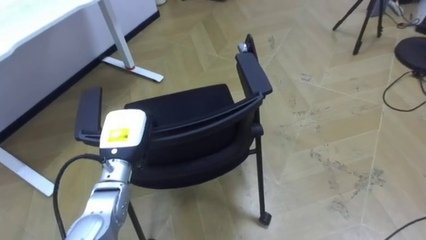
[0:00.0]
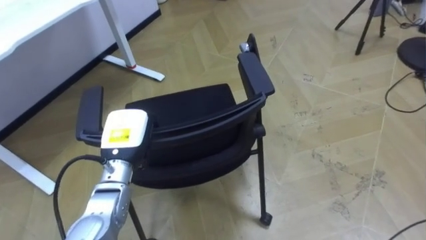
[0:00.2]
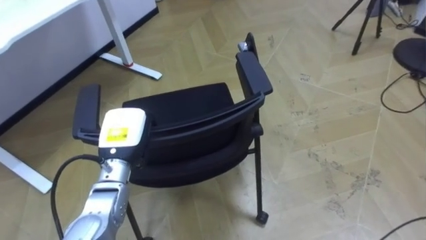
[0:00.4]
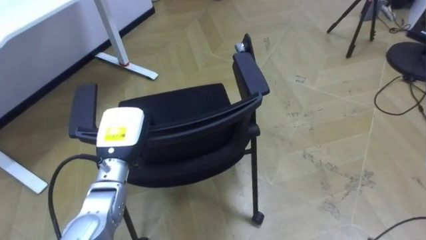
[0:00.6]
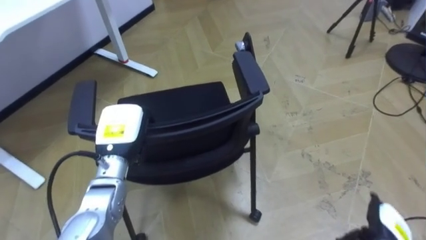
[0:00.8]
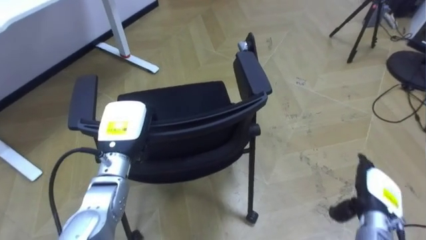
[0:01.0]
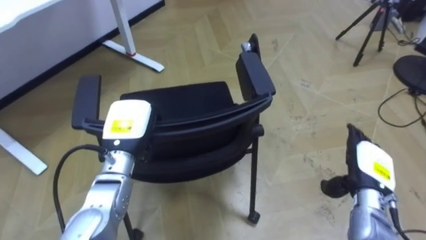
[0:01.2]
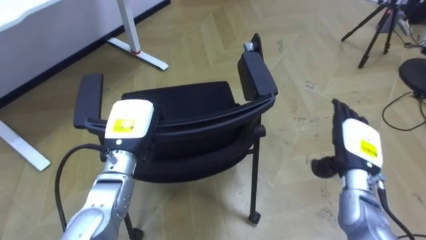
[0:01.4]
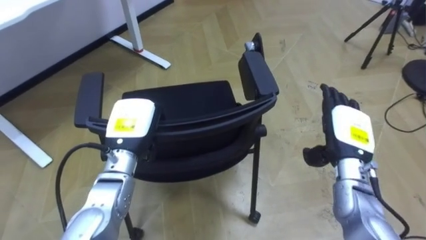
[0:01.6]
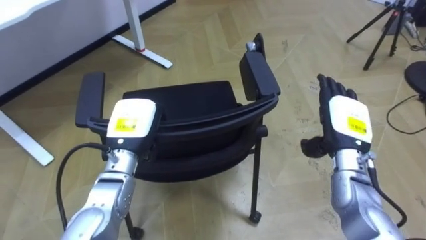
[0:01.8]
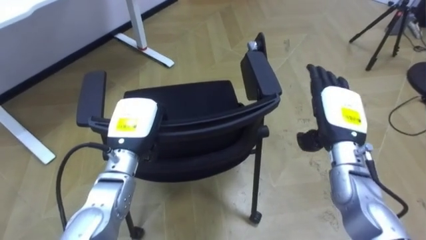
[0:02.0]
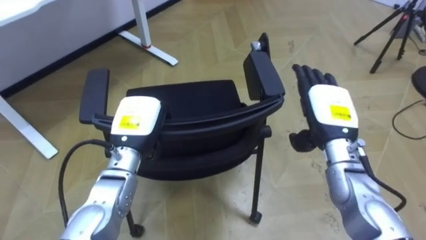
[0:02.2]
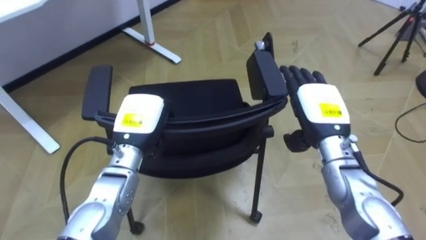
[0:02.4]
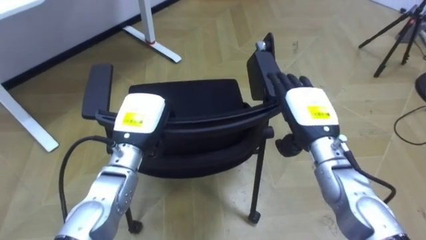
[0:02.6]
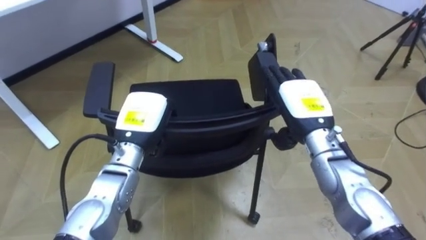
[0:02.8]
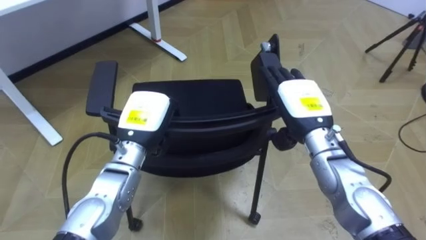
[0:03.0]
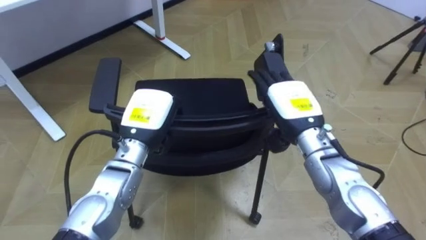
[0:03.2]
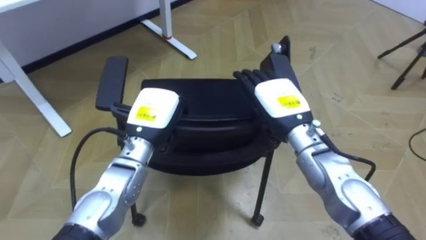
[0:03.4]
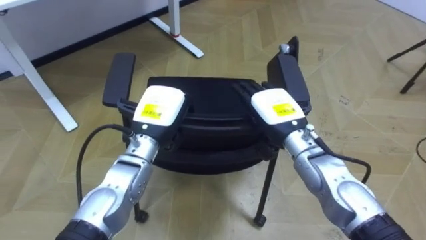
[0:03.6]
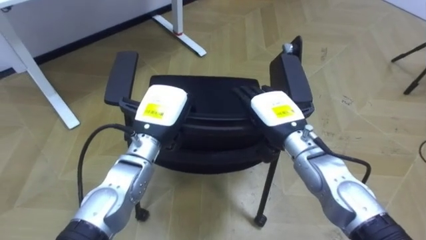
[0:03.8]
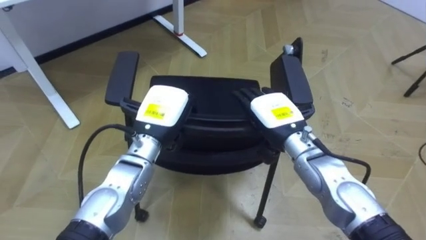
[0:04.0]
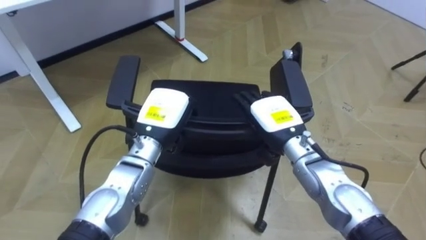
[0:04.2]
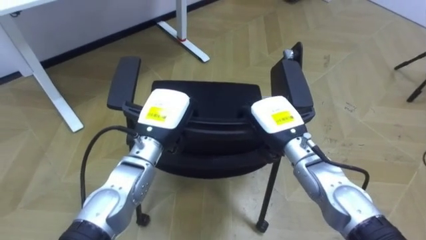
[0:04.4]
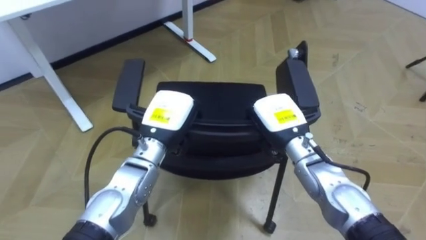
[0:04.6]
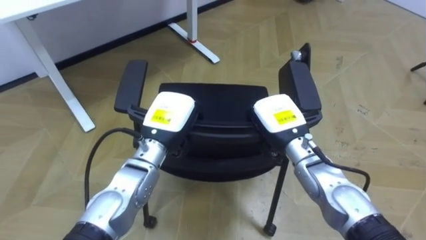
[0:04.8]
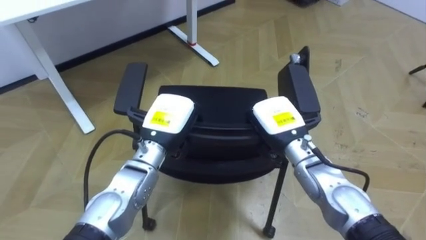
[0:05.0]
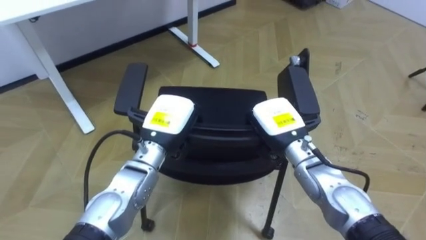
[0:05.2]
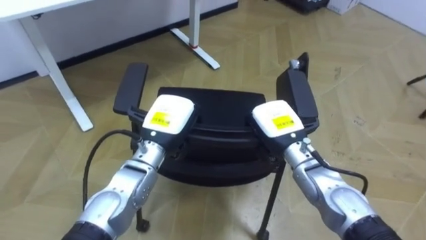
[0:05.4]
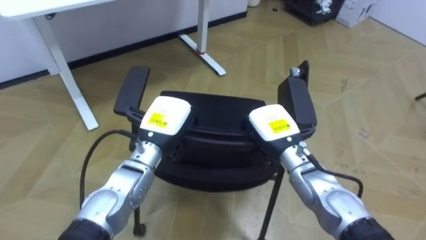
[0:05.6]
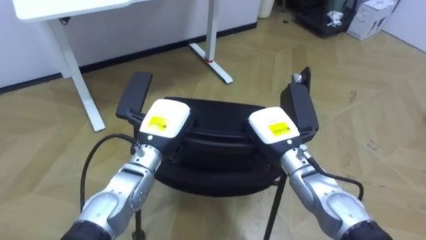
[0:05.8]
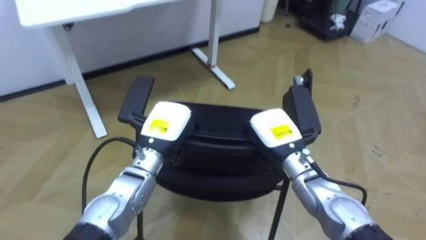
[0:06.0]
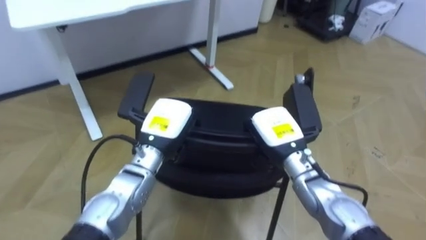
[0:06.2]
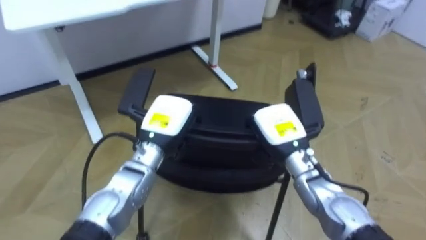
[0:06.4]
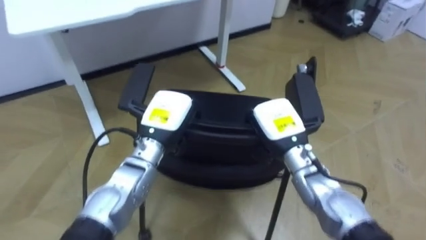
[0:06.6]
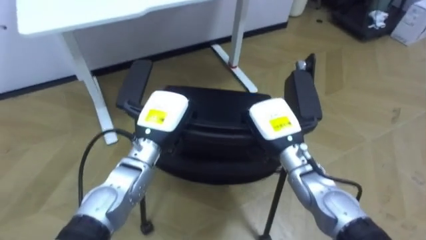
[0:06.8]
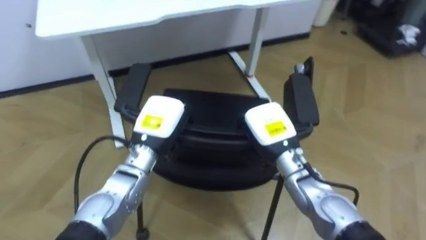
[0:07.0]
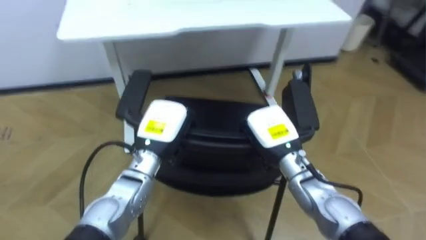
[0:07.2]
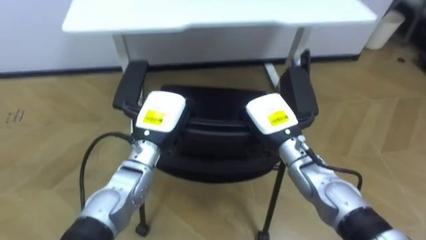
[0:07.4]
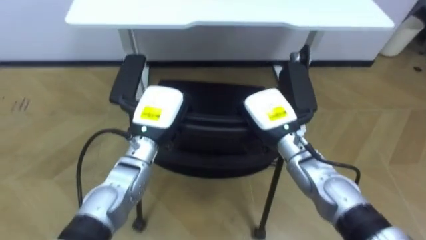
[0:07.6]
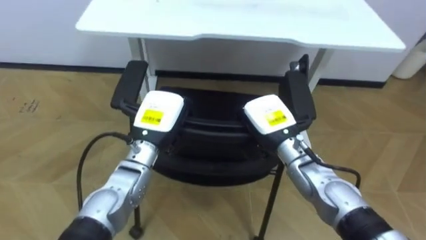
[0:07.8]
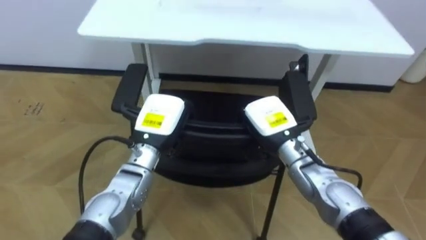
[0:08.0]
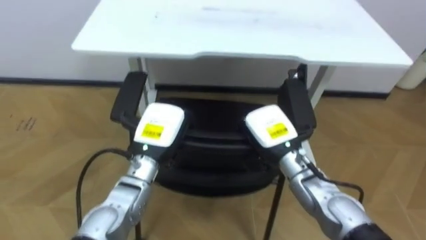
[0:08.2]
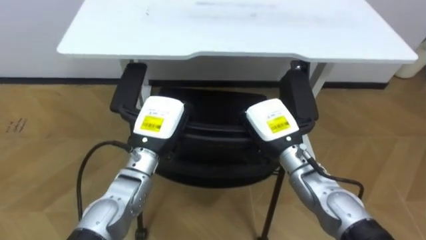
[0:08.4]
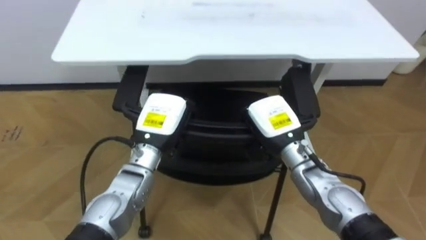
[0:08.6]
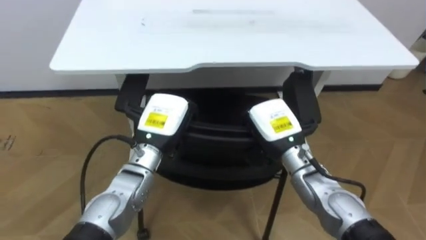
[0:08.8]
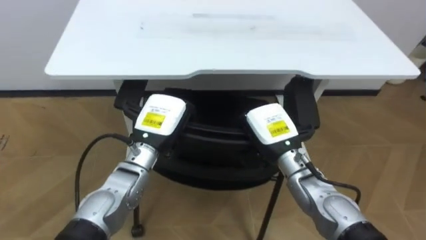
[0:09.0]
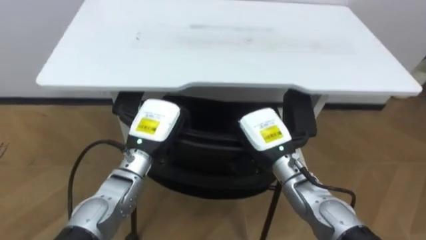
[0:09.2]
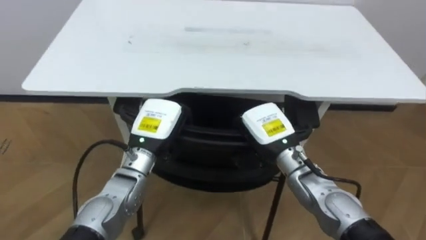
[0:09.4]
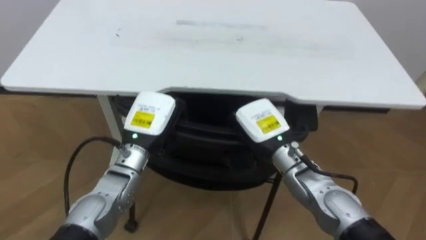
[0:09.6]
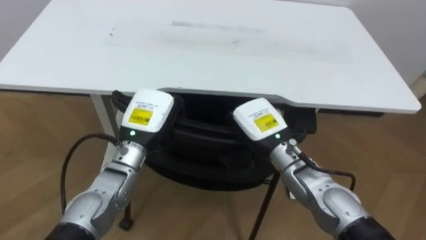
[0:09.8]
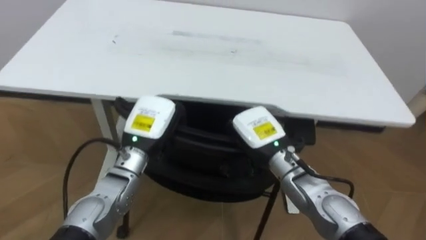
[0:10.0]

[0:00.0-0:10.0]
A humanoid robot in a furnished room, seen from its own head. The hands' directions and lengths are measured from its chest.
Task of the whole recording: Push the chair under the table.
0:01.4 to 0:02.8: The right hand heads to the left and upward, covering some 15 cm.
0:02.8 to 0:04.2: The right hand ends up approximately 5 cm from where it was.
0:04.2 to 0:05.8: The right hand closes its fingers.
0:05.8 to 0:07.2: The robot's body swings approximately 15 degrees to its left.

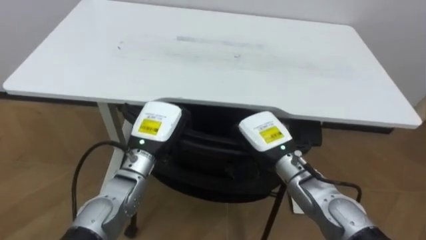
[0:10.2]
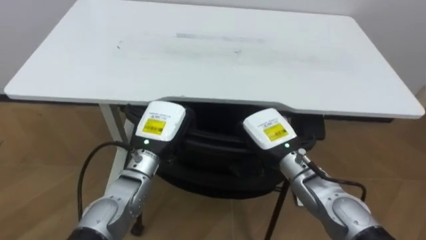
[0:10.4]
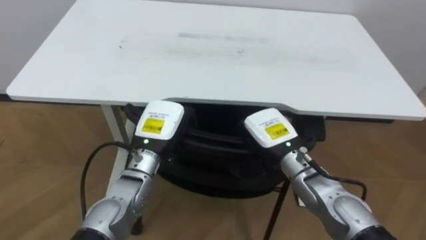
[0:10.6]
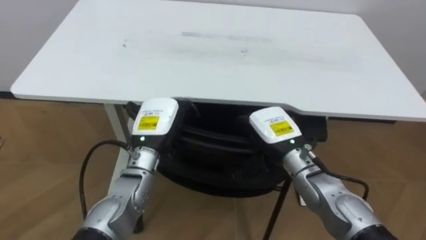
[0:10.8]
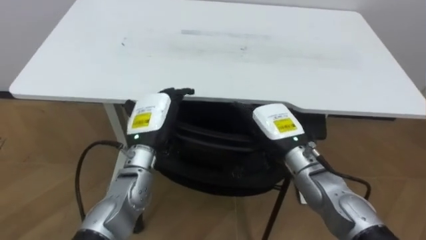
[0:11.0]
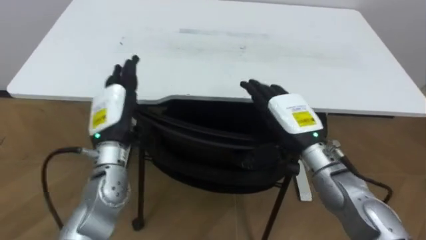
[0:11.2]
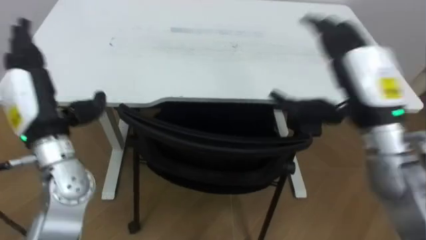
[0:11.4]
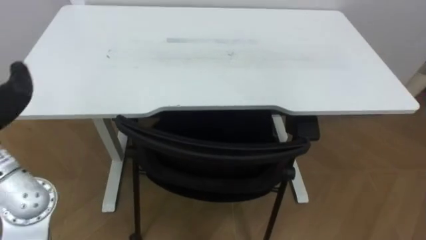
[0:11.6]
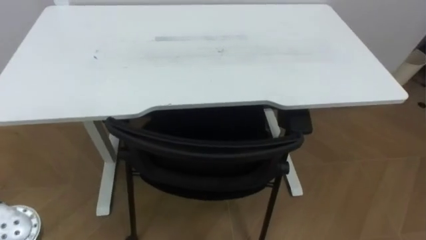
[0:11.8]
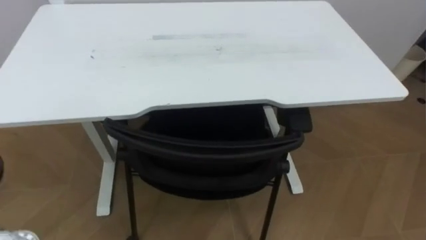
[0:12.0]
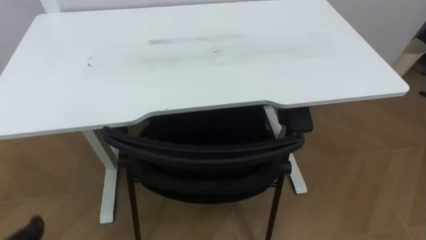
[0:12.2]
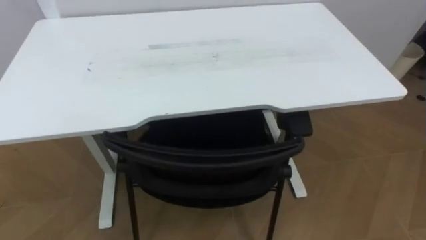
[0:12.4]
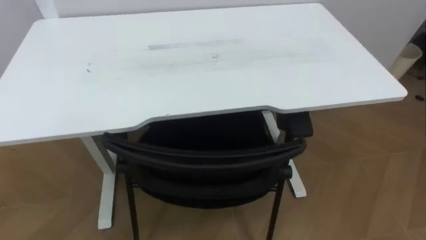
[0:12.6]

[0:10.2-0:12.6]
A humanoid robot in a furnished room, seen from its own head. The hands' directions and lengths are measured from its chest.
Task of the whole recording: Push the chair under the table.
0:10.2 to 0:11.4: The left hand travels to the left and upward by roughly 20 cm, and opens. Meanwhile the right hand moves upward and to the right, some 20 cm, and opens up.

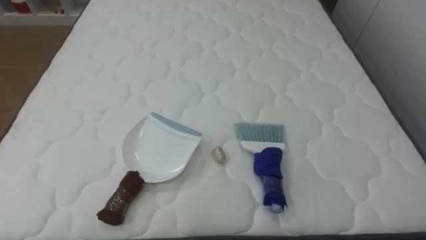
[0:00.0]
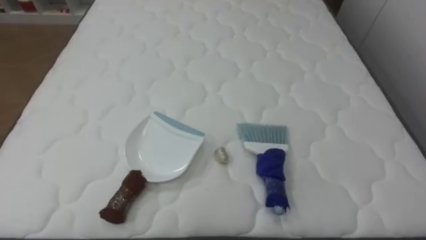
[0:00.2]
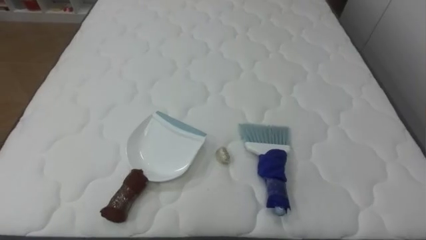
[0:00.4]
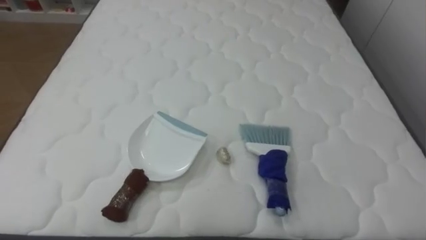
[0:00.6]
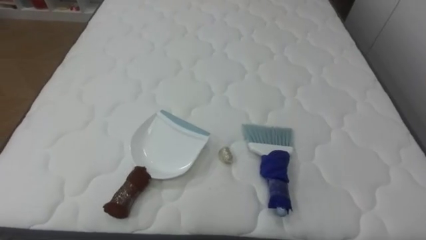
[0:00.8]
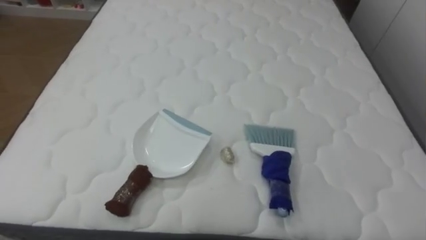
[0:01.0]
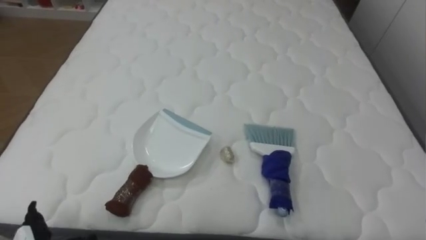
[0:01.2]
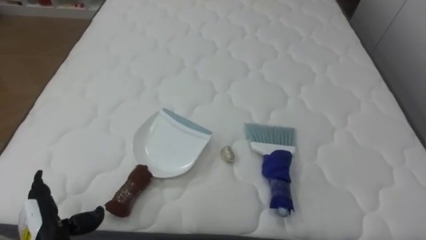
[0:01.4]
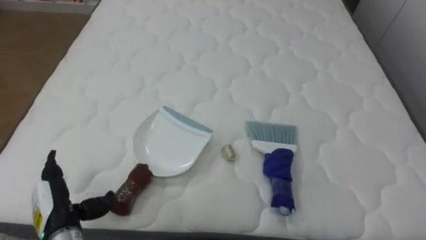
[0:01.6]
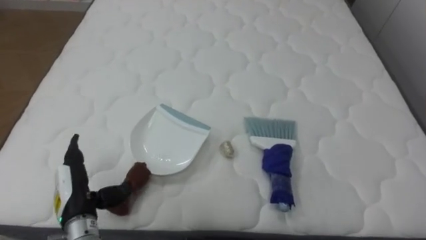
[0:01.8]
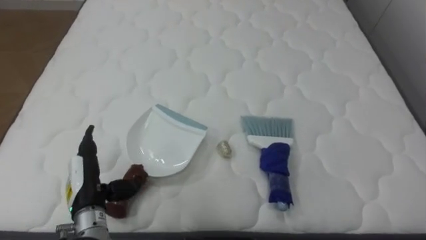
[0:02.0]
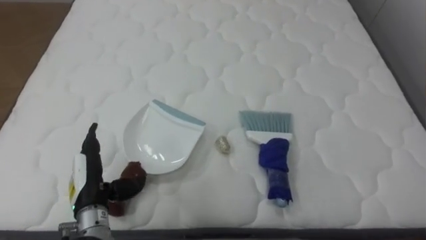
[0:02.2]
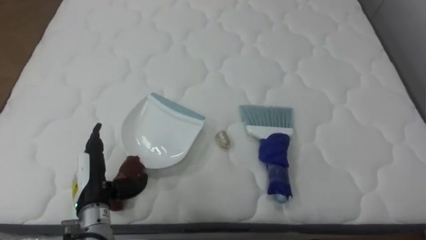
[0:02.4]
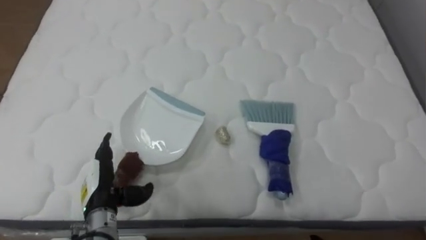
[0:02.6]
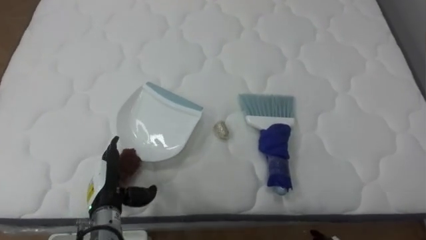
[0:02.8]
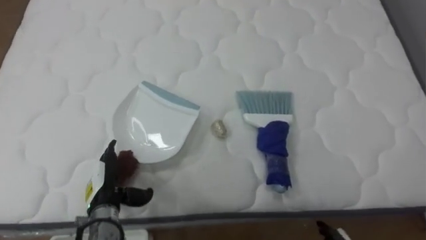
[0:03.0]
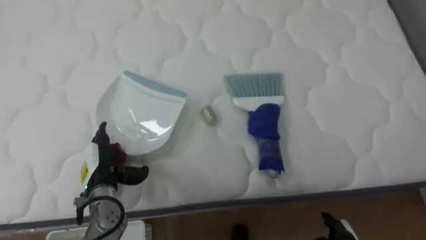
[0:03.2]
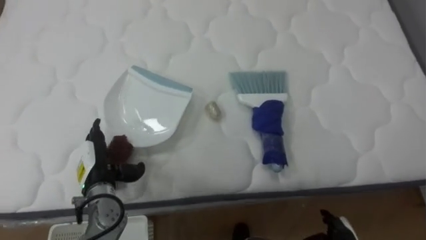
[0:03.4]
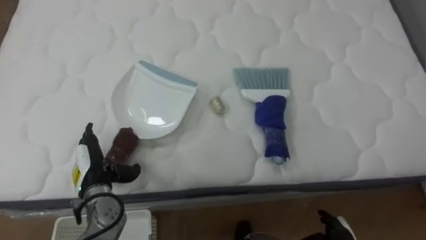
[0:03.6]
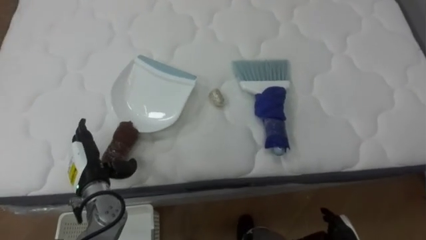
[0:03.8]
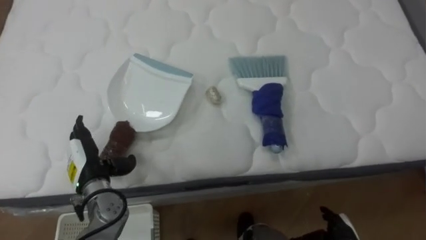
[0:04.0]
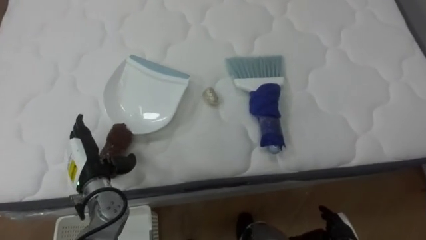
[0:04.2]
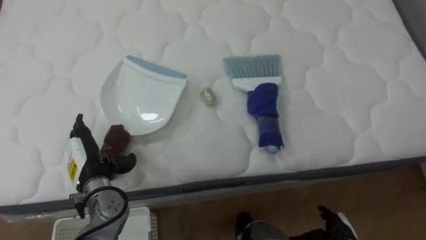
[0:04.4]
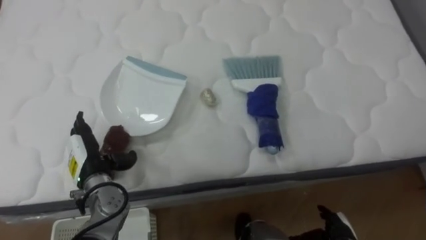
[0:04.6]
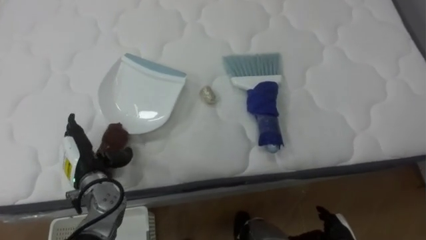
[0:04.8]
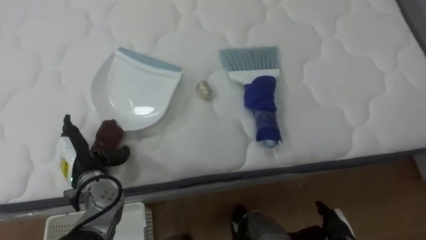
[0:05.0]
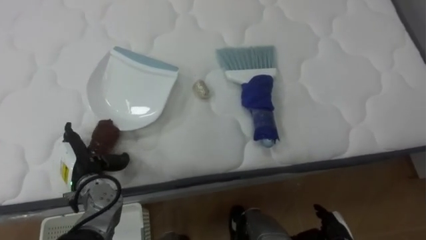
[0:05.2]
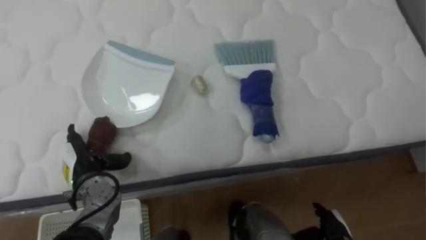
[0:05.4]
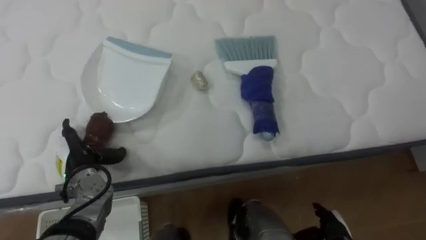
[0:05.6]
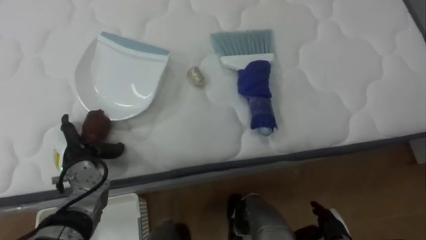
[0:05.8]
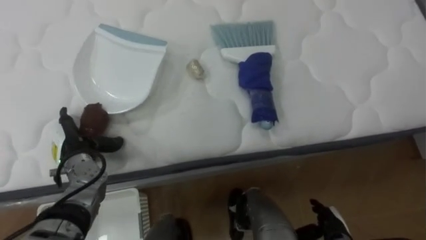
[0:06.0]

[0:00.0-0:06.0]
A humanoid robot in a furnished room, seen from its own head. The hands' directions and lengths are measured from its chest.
Task of the whole recording: Pick up the brush on your right and the dustpan on your left. Use the brush to sweep the crumpled paper on the bed into the dustpan, then turn left and empty it into the basket.
0:01.6 to 0:03.0: The left hand is displaced to the right and forward by some 10 cm.
0:03.0 to 0:04.4: The left hand changes place by some 5 cm.
0:04.4 to 0:06.0: The left hand changes place by some 5 cm.
